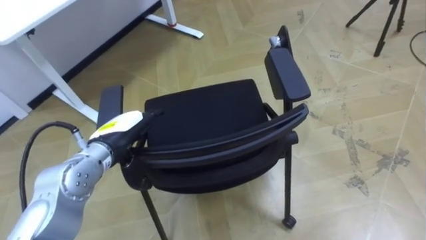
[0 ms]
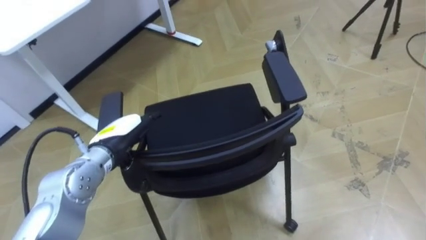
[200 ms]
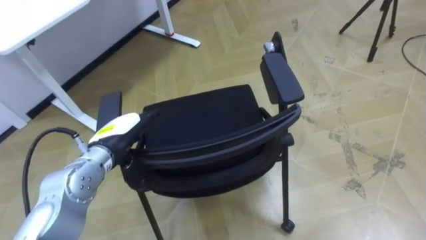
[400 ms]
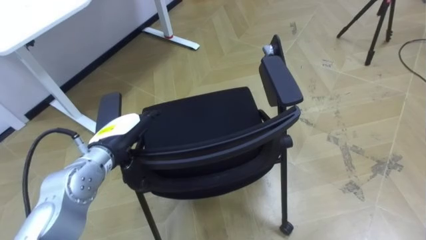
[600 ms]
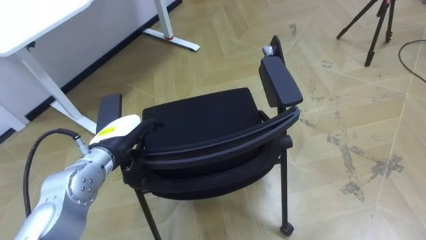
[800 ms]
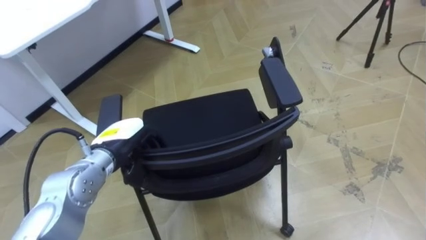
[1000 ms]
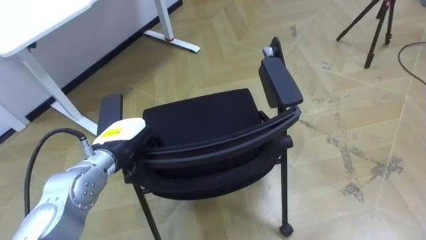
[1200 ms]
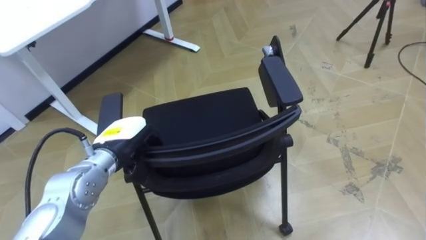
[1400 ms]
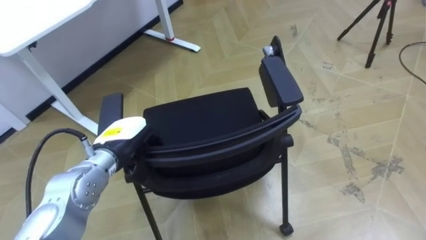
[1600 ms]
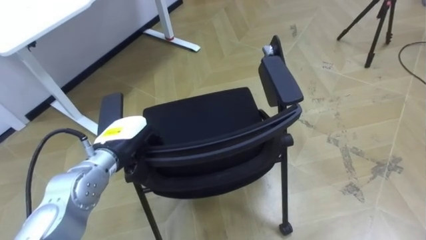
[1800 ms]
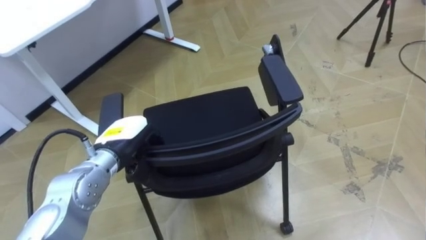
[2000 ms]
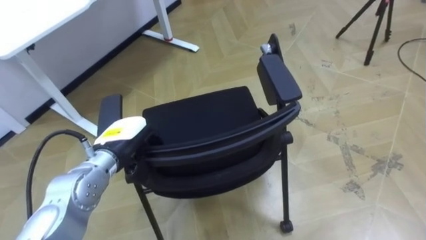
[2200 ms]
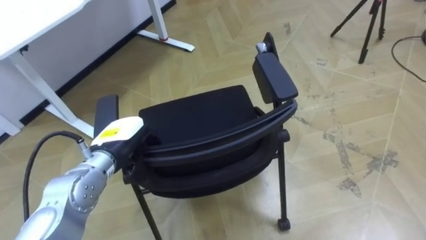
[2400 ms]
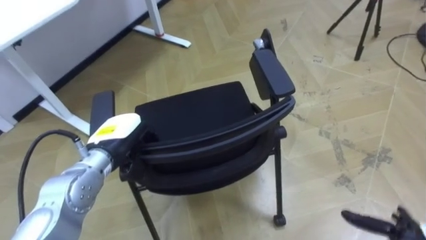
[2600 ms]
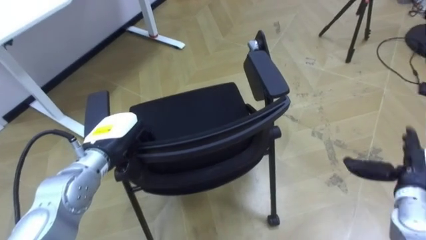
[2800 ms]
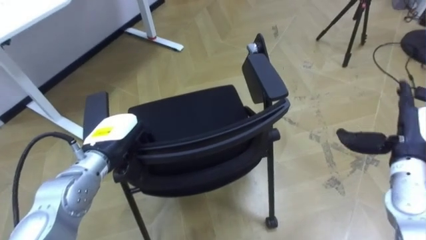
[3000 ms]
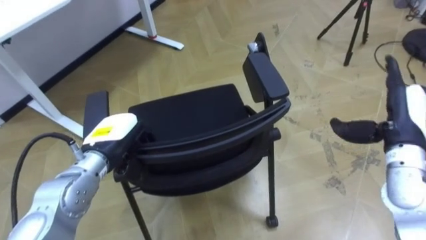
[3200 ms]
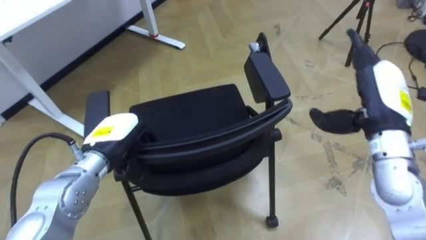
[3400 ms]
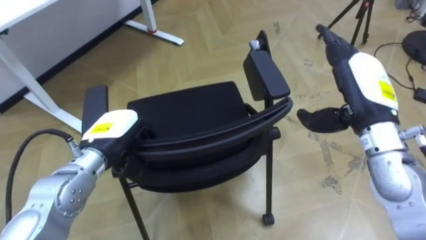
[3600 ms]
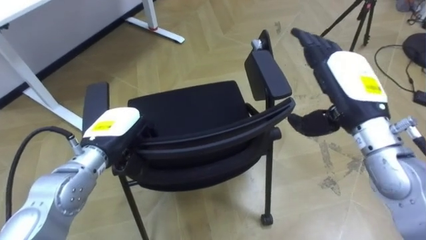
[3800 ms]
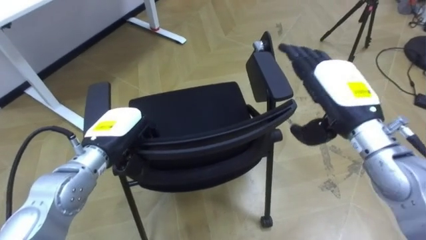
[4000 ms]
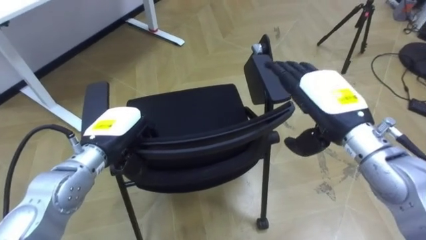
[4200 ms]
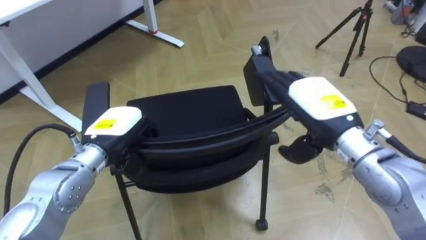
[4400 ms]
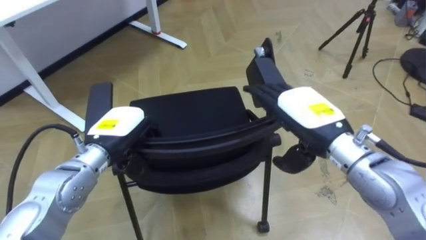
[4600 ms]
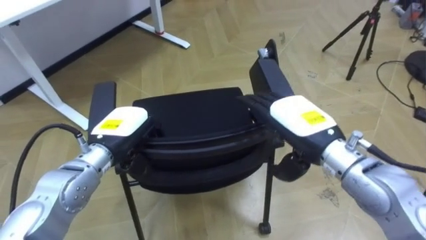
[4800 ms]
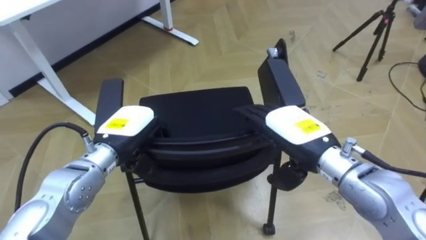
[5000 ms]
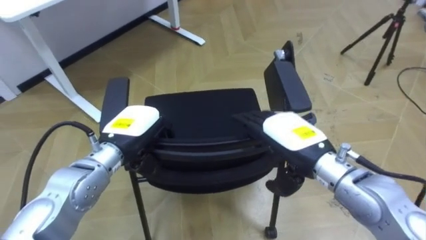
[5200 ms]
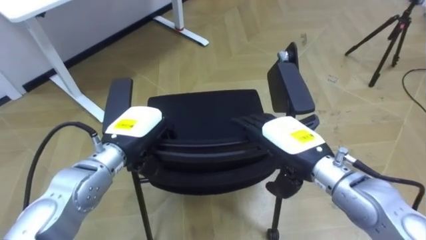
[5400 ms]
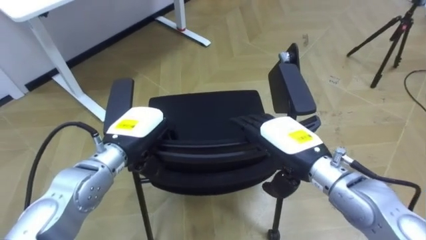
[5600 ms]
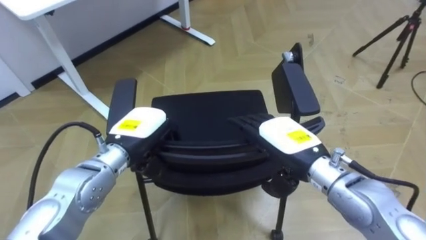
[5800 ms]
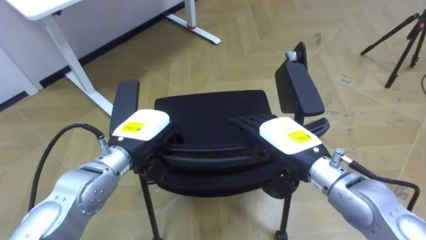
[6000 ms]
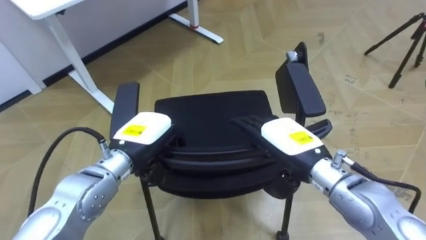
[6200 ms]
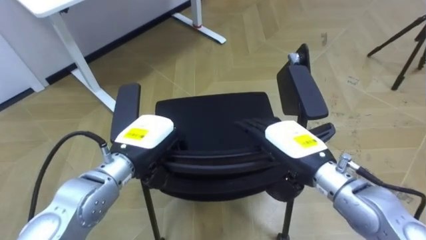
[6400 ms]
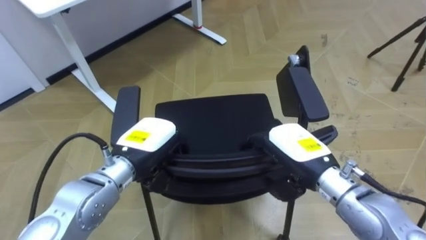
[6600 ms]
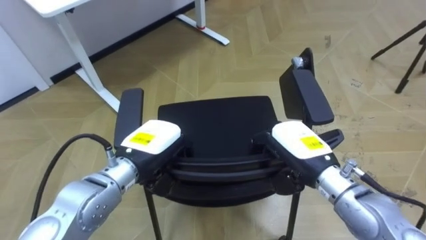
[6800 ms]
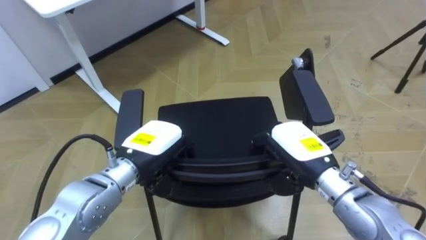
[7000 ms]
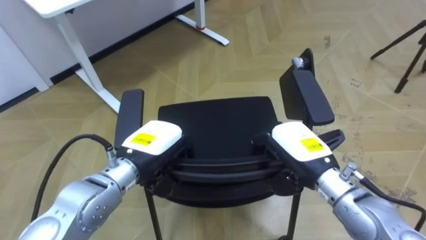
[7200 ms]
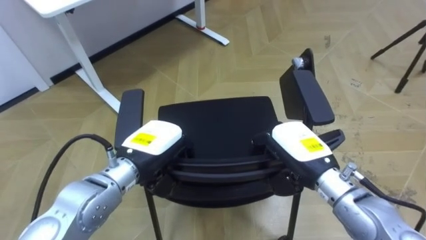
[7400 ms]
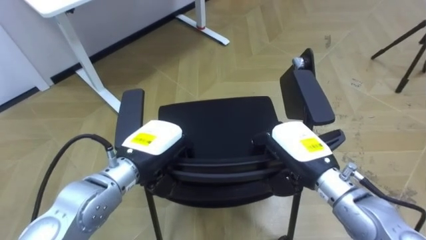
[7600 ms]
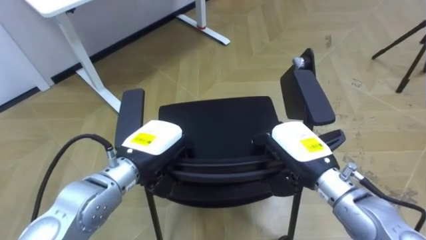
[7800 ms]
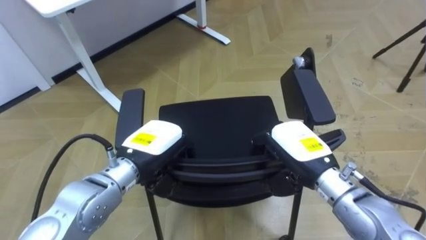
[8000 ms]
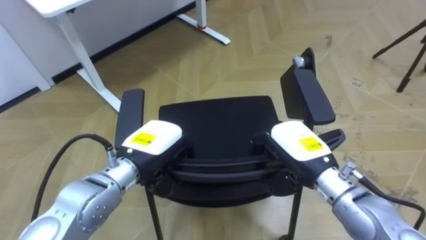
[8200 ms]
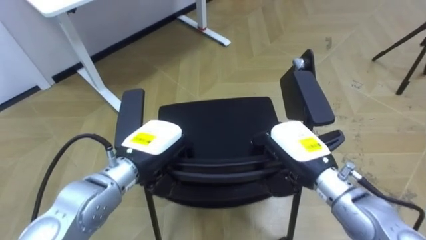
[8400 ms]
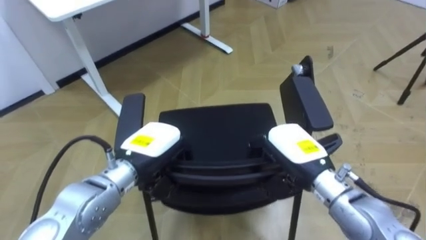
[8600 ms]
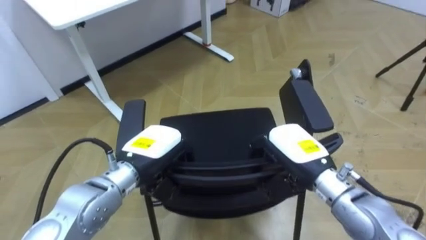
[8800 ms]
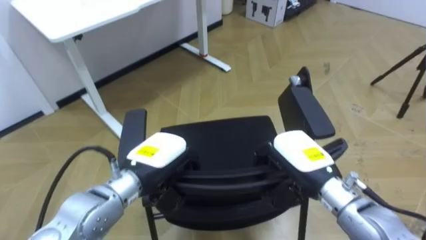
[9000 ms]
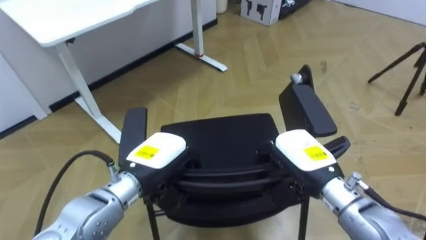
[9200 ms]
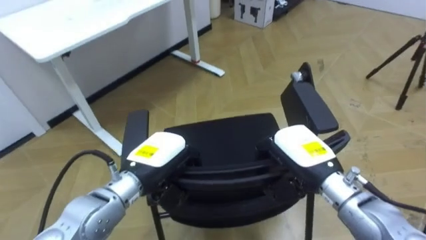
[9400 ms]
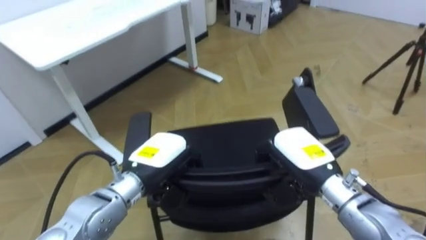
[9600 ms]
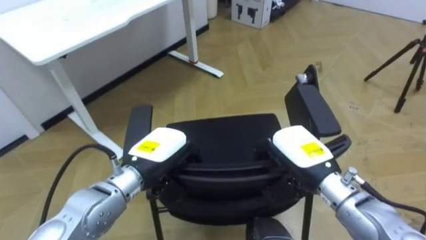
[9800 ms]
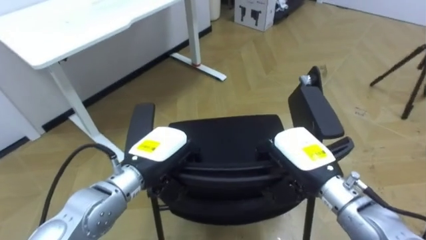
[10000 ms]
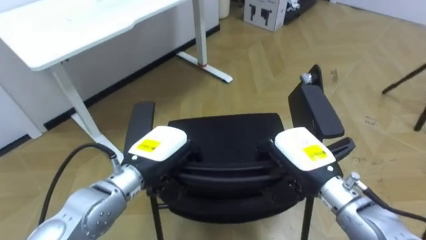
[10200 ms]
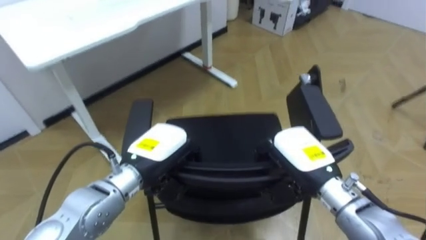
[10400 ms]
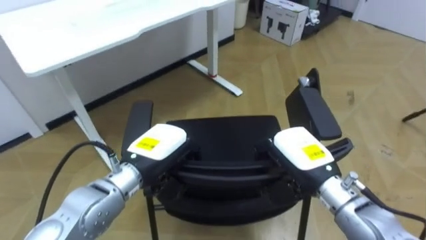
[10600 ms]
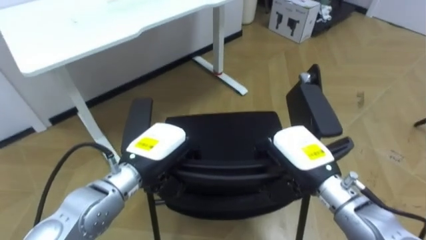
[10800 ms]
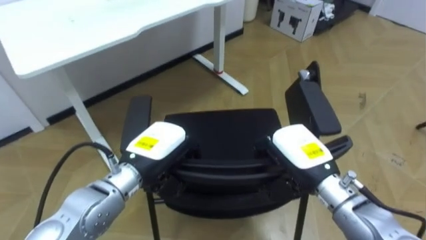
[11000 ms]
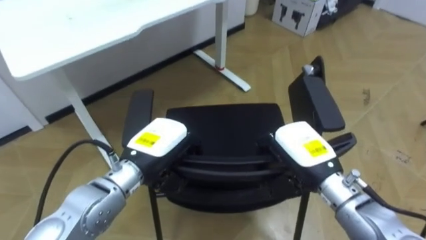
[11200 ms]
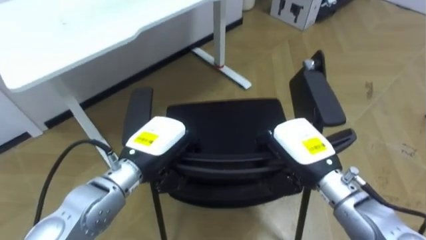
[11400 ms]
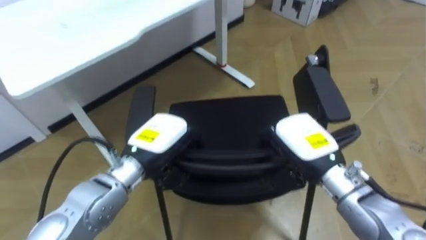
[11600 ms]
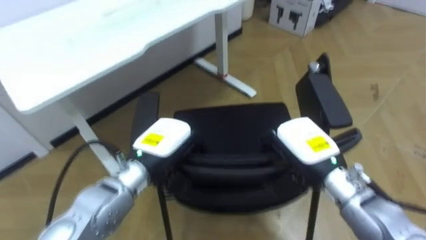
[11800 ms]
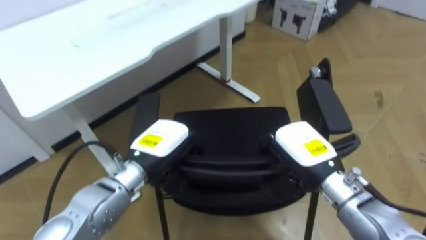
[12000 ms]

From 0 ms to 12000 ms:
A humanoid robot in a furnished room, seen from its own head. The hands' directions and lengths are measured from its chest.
Task of the whole recording: Push the chair under the table.
From 0 ms to 1600 ms: The left hand closes.
From 3000 ms to 4400 ms: The right hand travels to the left and upward by approximately 20 cm.
From 4400 ms to 6000 ms: The right hand is displaced downward by some 5 cm.
From 6000 ms to 7600 ms: The right hand closes its fingers.

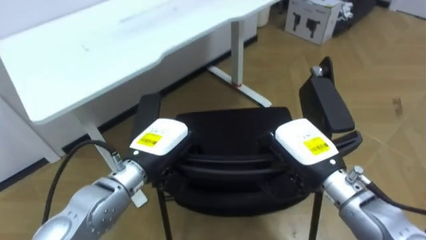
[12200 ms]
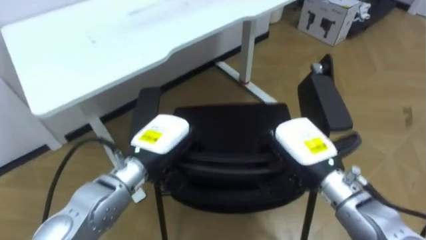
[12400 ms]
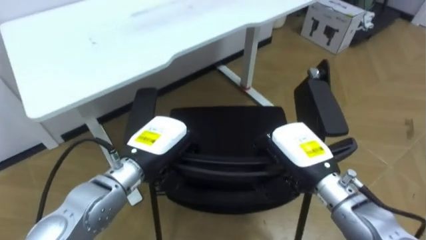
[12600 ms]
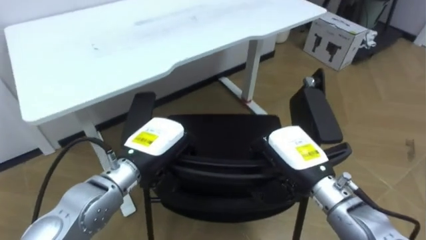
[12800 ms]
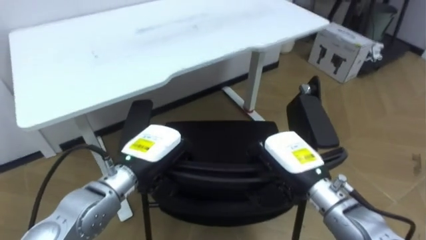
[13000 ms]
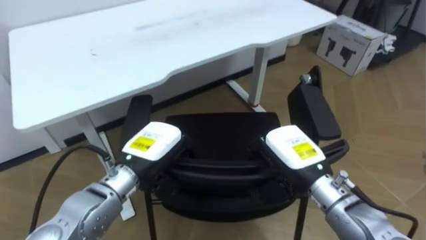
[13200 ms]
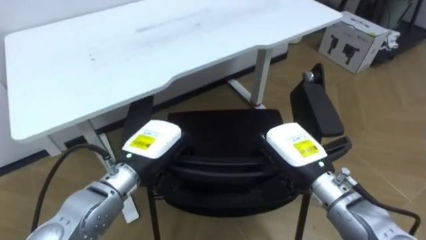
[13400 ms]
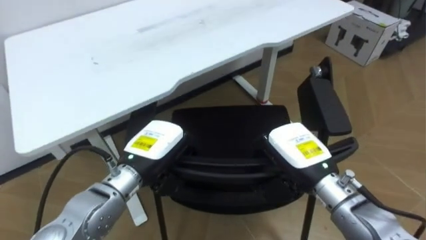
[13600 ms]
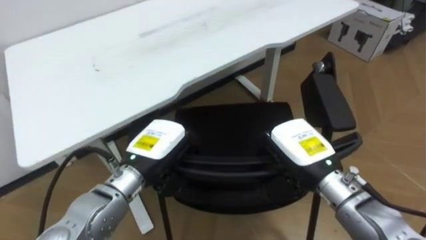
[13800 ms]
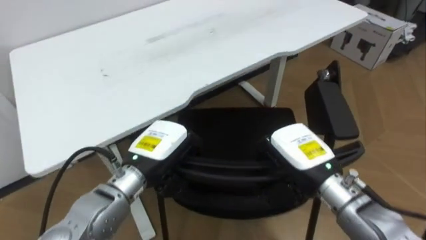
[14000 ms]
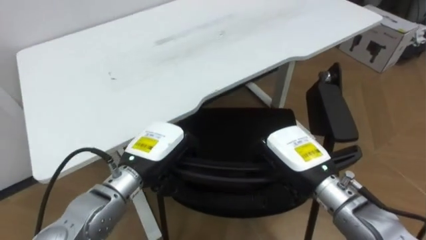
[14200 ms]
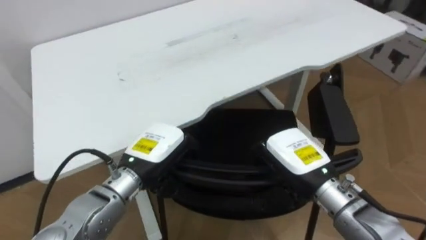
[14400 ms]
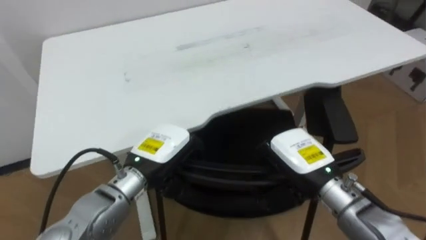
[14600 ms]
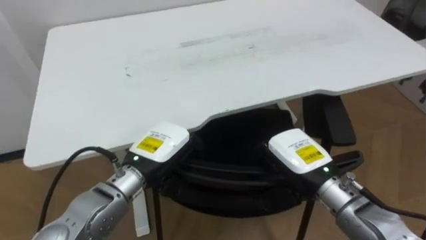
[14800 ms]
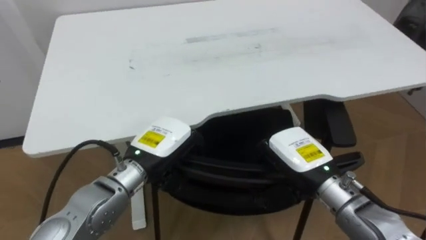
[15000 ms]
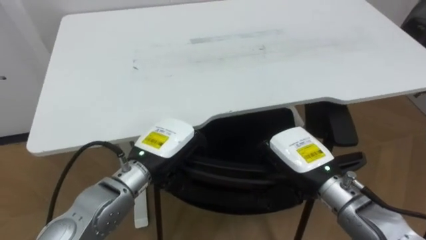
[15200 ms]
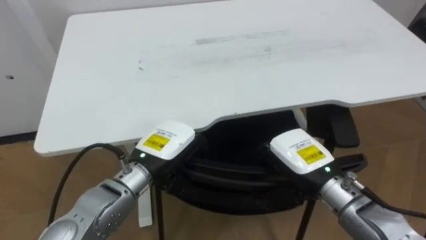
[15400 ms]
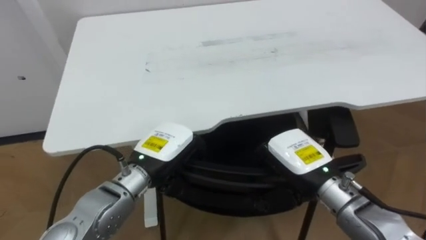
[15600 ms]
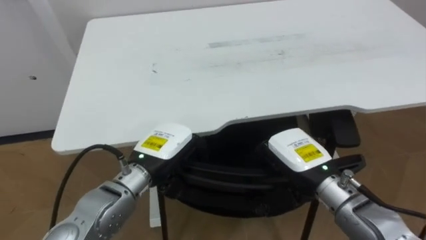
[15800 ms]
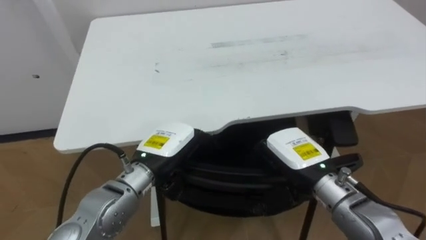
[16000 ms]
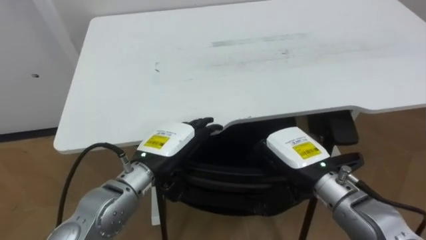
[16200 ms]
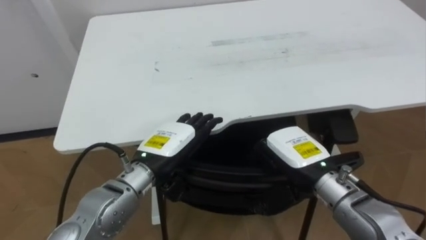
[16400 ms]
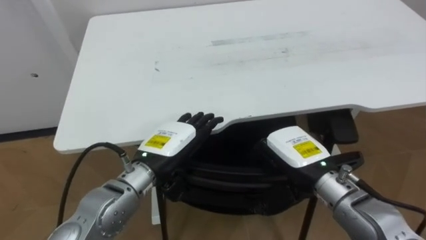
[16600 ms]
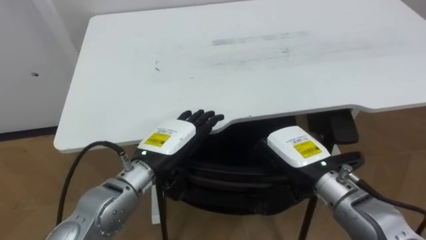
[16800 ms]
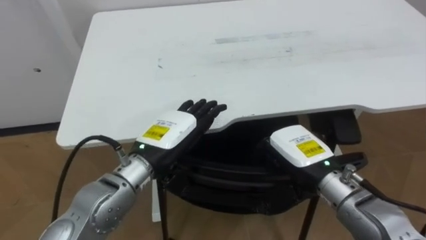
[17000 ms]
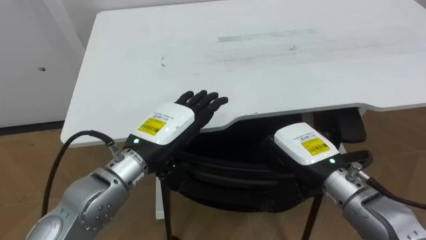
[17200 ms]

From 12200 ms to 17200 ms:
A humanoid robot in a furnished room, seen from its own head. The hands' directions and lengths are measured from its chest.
Task of the whole recording: Push the chair under the table.
From 13800 ms to 15600 ms: The robot turns to its left by about 25 degrees.
From 15600 ms to 17200 ms: The left hand opens its fingers.
